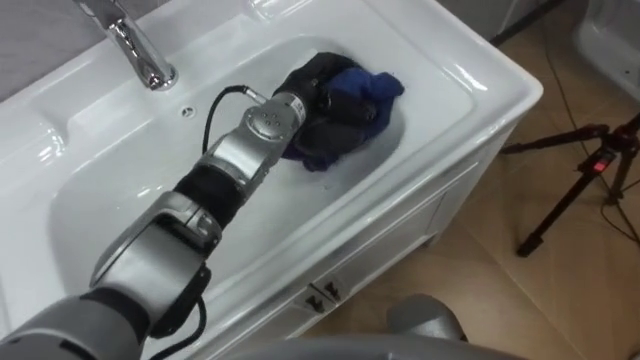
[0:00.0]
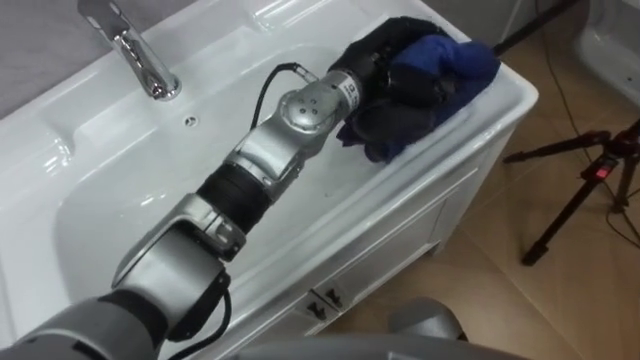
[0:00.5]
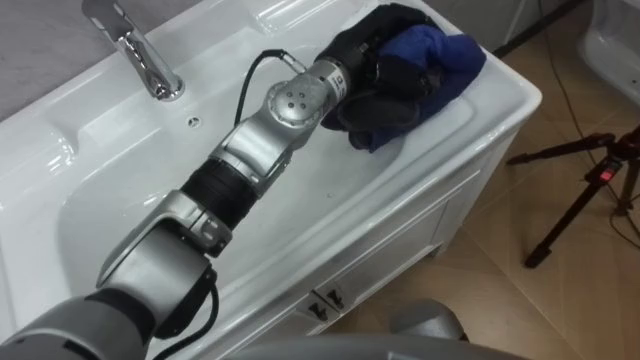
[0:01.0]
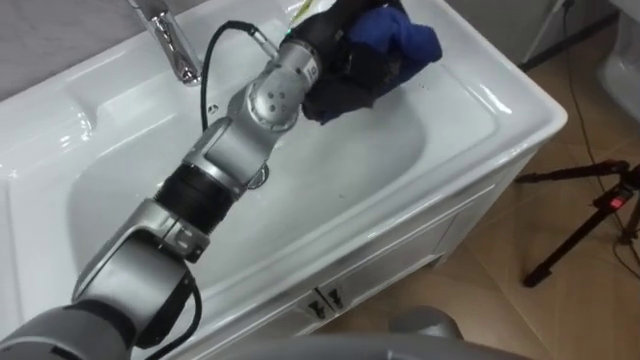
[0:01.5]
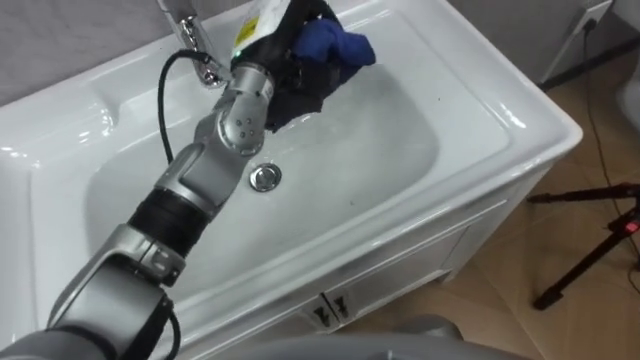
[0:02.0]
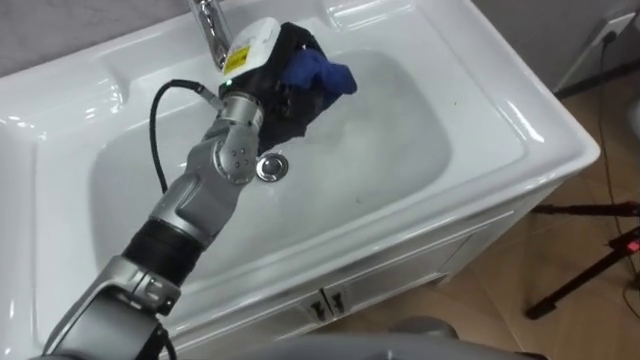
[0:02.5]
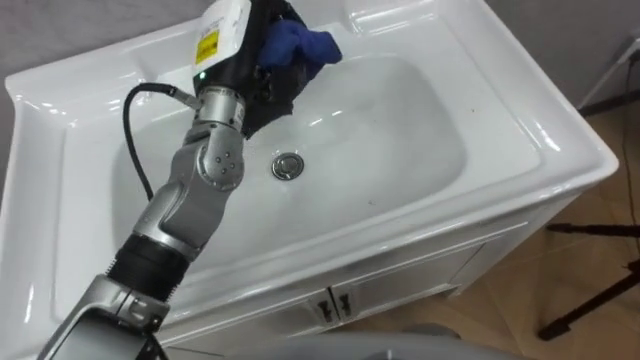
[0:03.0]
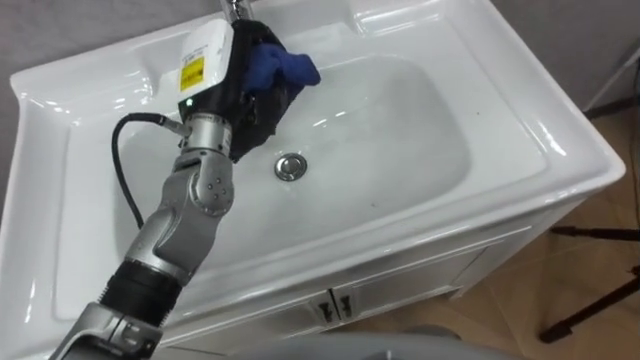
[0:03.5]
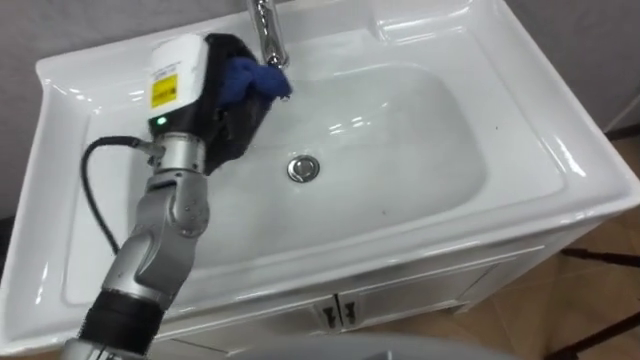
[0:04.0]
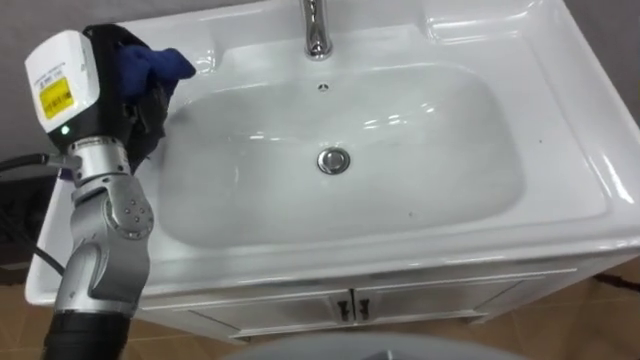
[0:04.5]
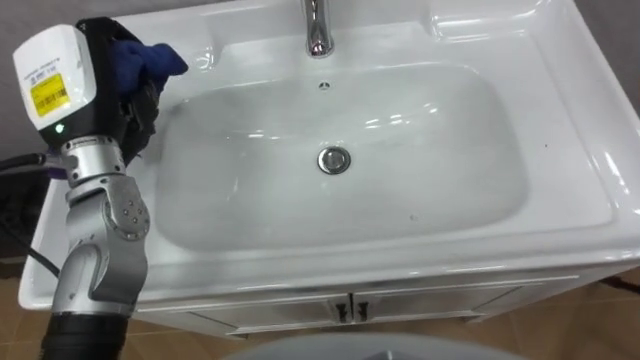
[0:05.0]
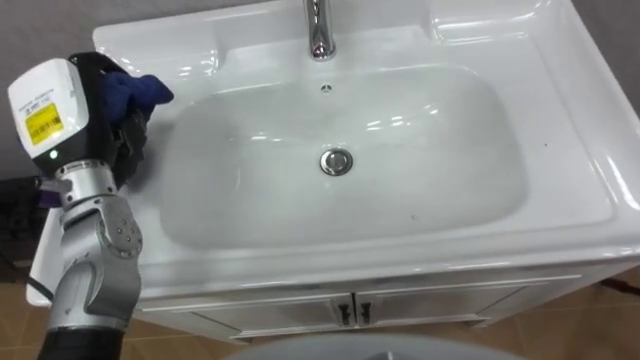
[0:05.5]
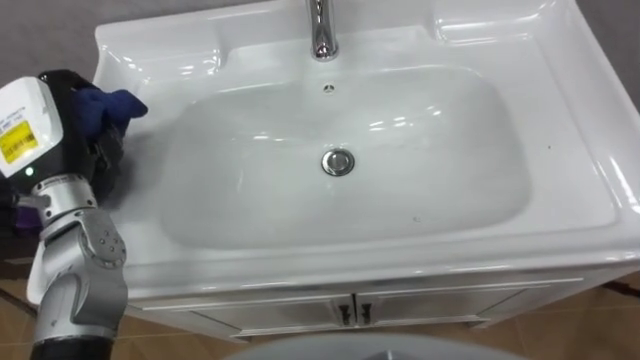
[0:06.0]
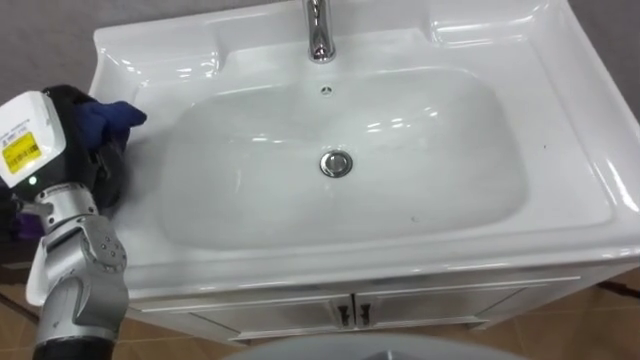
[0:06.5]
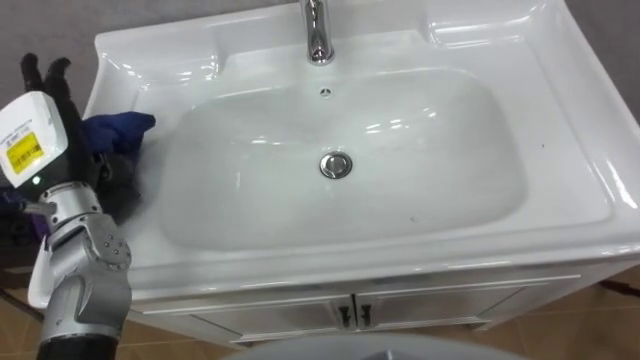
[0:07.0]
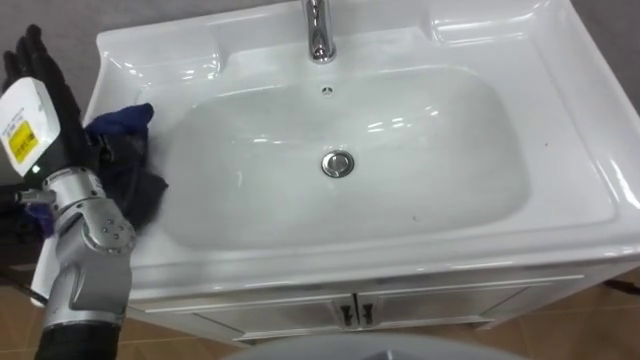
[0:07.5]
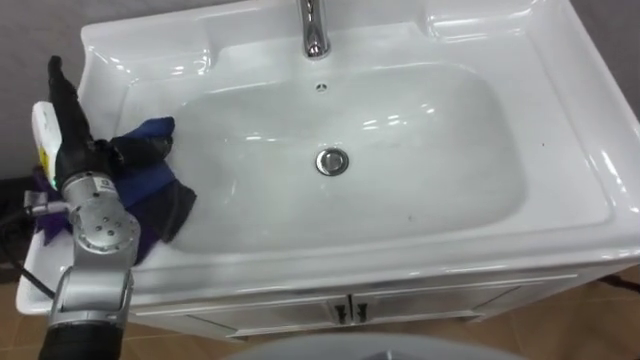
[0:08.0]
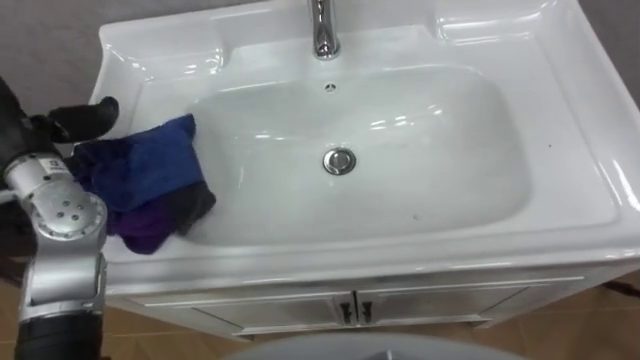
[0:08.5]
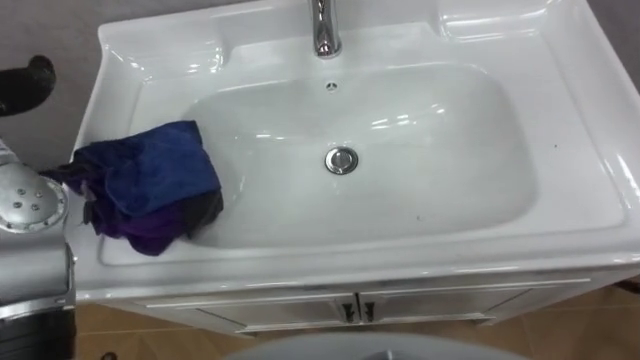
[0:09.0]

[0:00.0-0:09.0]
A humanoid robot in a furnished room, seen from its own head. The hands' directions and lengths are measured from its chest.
Task of the whole recording: Use the cloth on the right to wipe away the black stain in the sink.
0:00.0 to 0:02.0: The left hand is displaced upward by roughly 10 cm.
0:02.0 to 0:04.5: The left hand shifts about 20 cm to the left and backward.
0:04.5 to 0:07.0: The left hand is displaced to the left by approximately 5 cm, and opens.

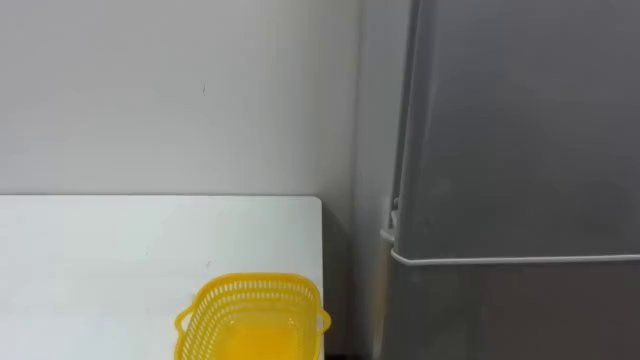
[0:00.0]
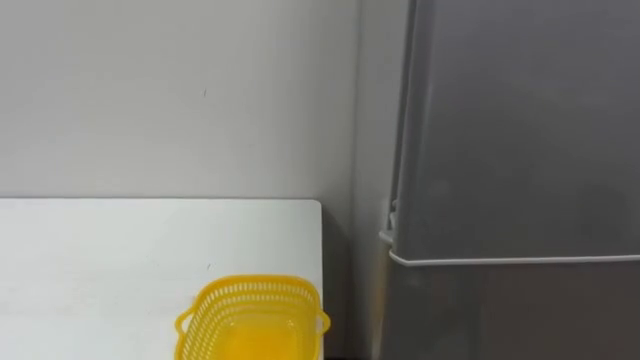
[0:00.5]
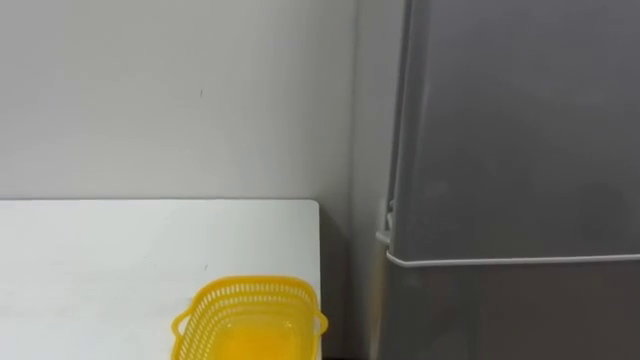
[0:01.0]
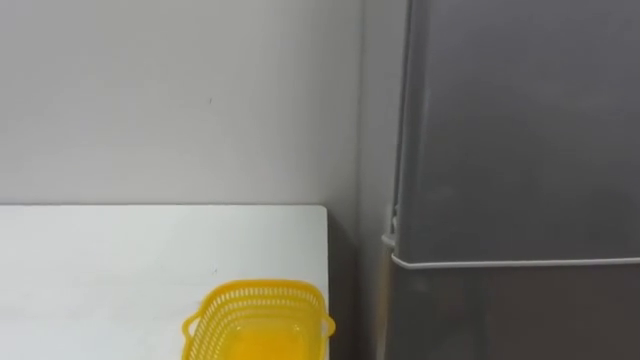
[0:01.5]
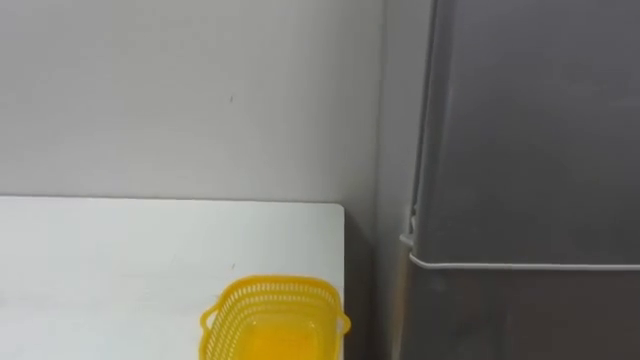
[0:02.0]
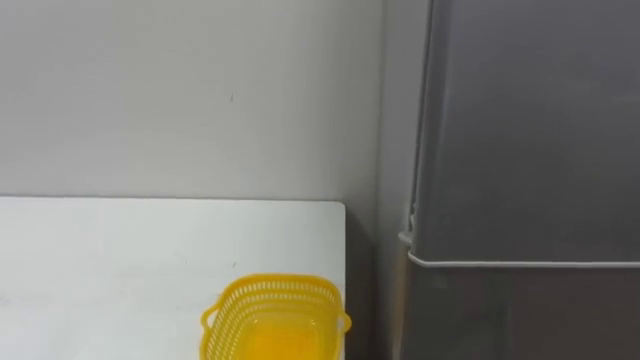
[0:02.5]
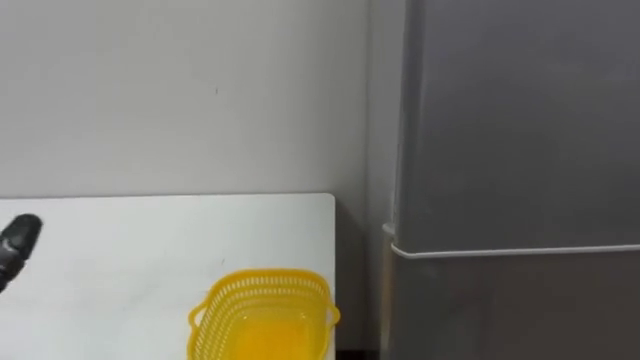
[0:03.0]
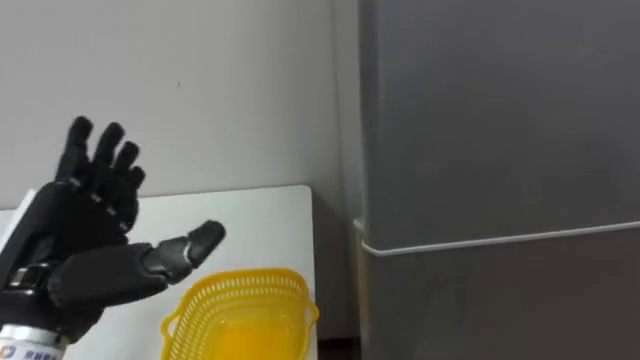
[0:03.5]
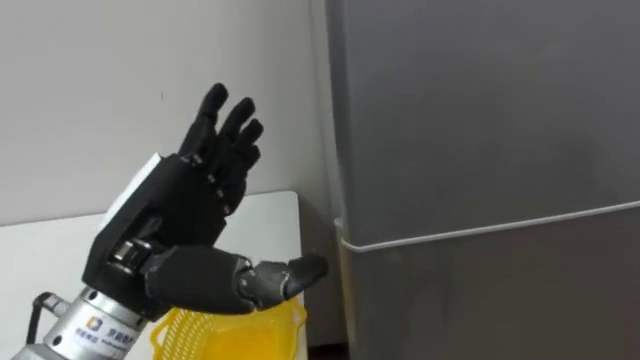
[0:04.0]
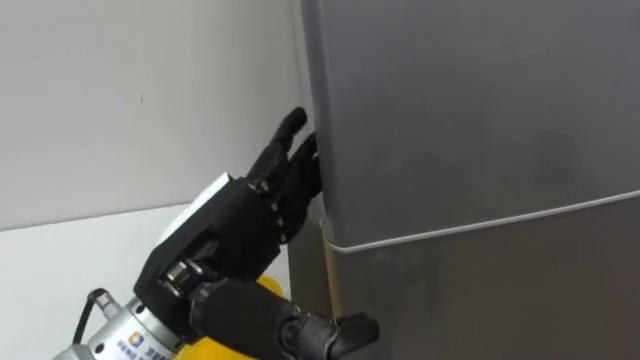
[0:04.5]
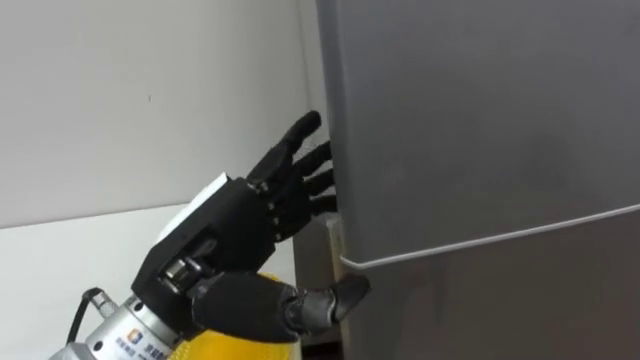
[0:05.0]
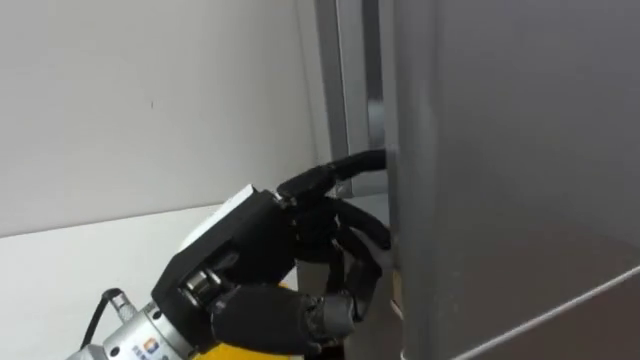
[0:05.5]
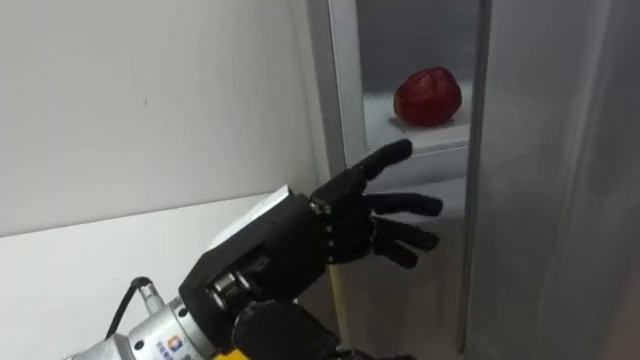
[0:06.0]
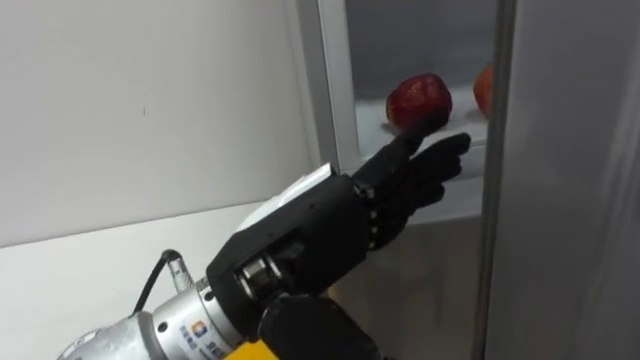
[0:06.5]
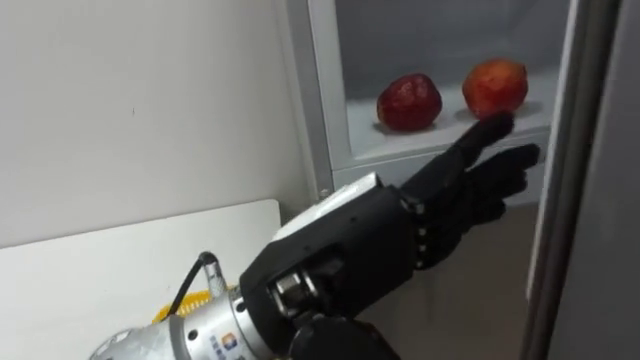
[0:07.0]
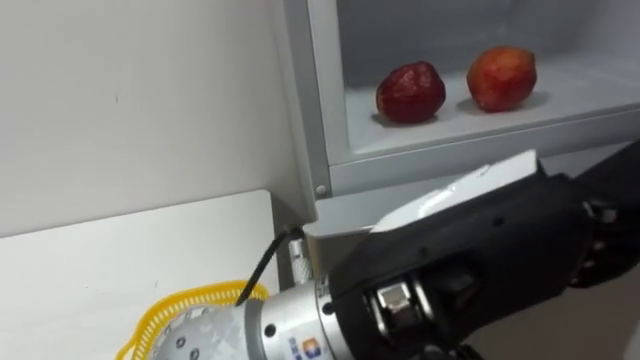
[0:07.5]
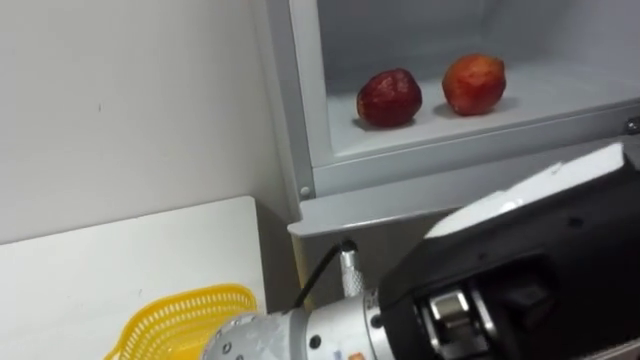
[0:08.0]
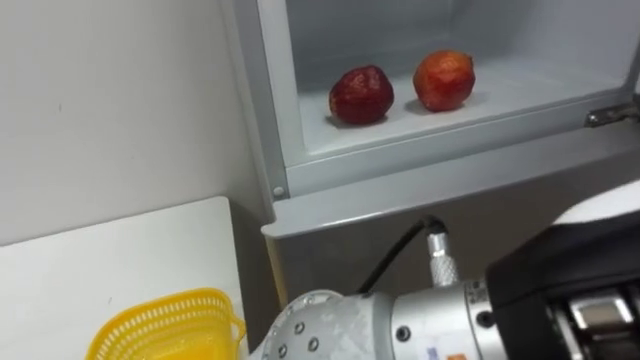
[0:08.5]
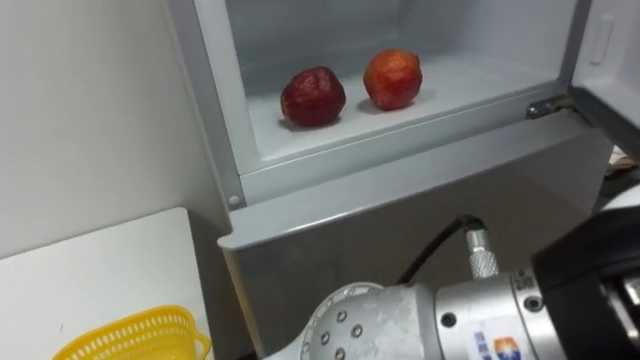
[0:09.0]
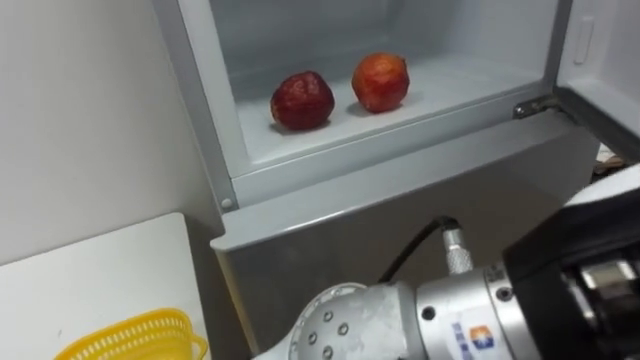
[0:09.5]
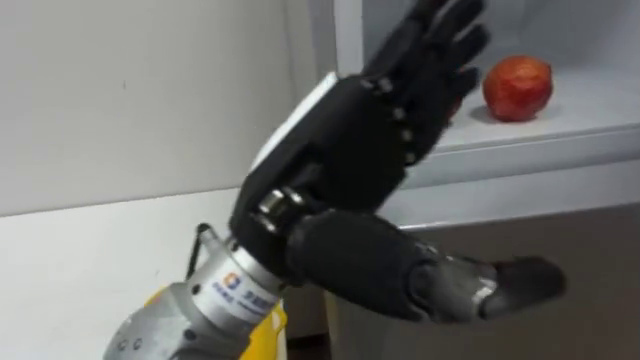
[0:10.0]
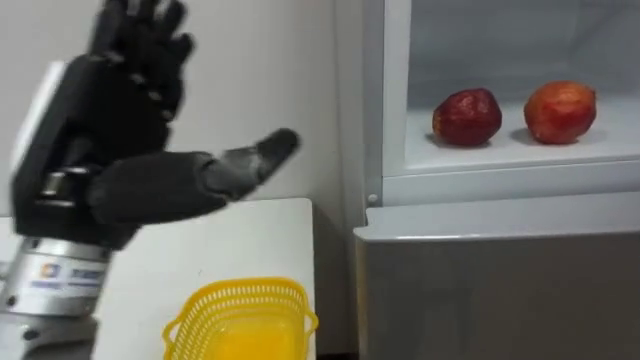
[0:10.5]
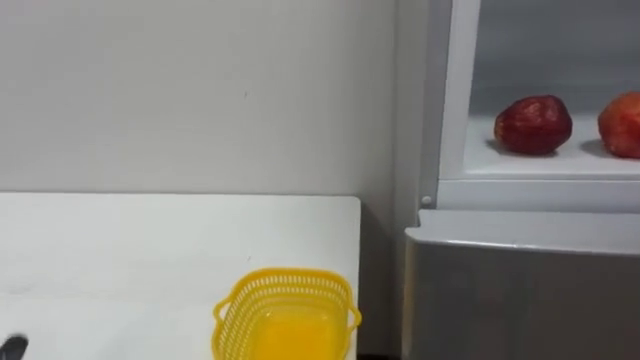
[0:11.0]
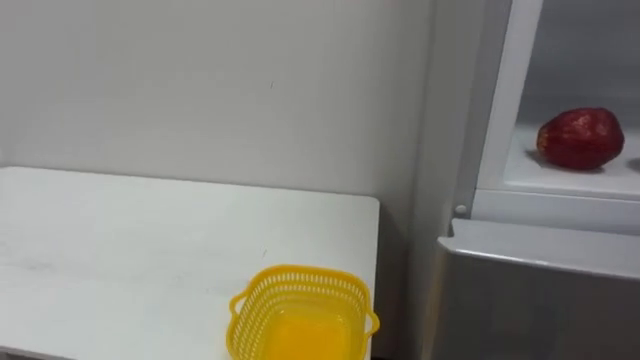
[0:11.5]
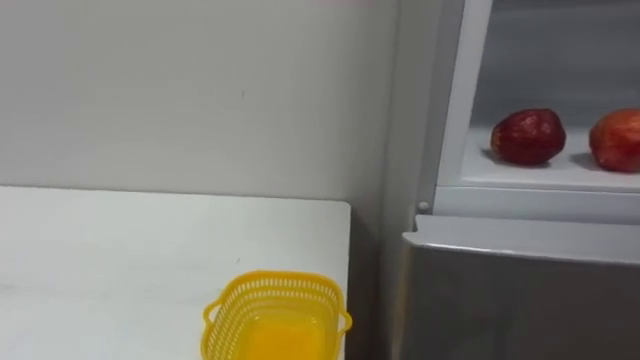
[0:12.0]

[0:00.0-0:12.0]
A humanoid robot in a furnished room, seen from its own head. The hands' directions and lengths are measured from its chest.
Task of the whole recording: Open the refrigerator door, take out the apple and the pomegranate, place them in the fruit basket on the left, and close the refrigerator door.
0:04.0 to 0:06.0: The left hand travels to the right by approximately 10 cm, and closes, then reopens.
0:06.0 to 0:08.0: The left hand heads to the right, backward and upward, covering roughly 20 cm.
